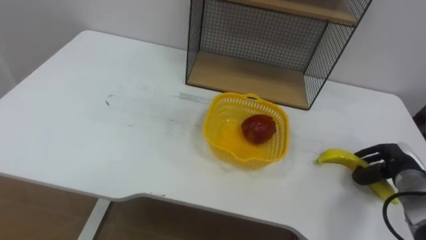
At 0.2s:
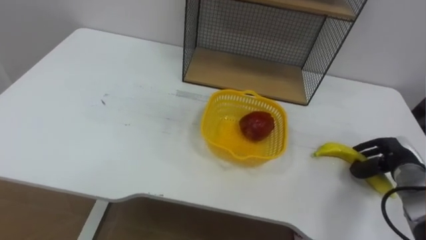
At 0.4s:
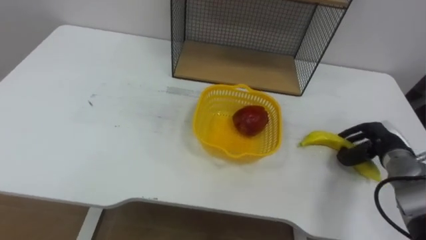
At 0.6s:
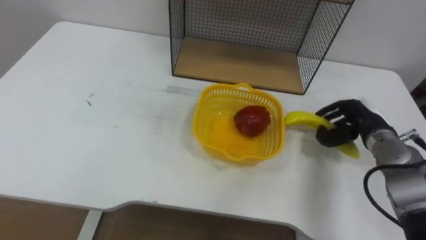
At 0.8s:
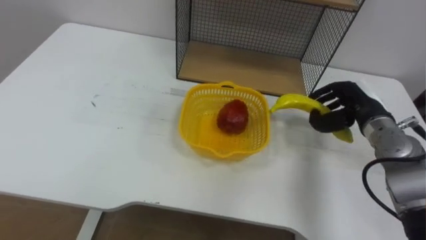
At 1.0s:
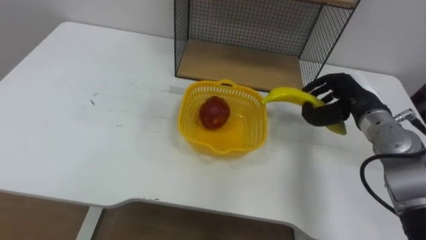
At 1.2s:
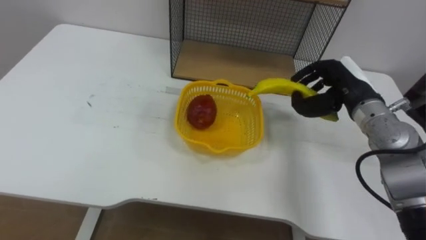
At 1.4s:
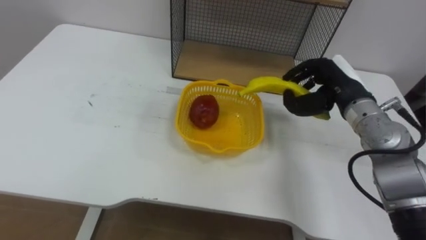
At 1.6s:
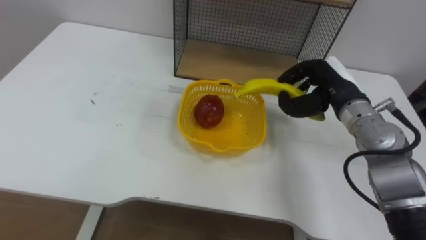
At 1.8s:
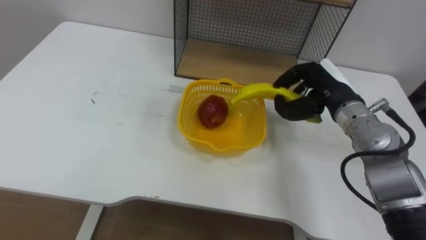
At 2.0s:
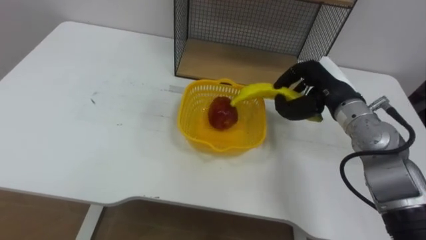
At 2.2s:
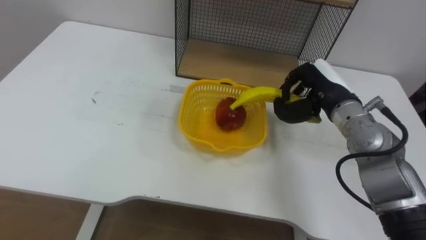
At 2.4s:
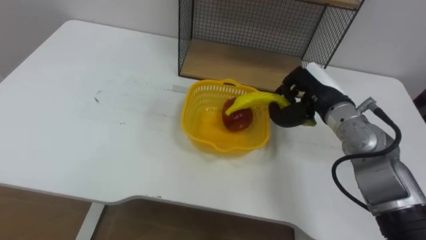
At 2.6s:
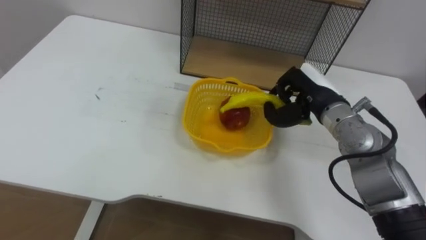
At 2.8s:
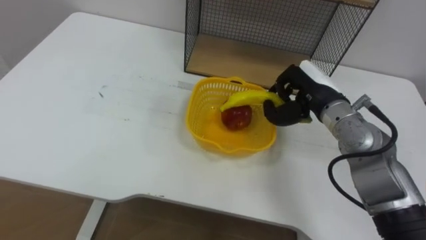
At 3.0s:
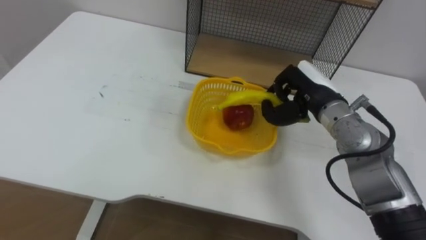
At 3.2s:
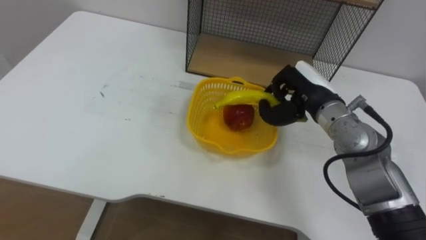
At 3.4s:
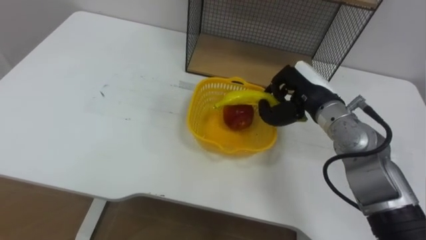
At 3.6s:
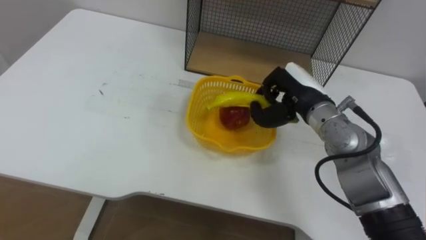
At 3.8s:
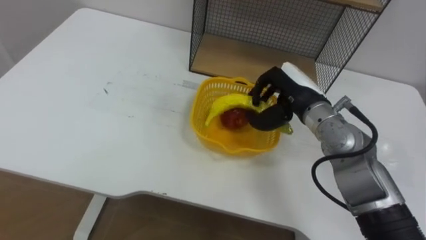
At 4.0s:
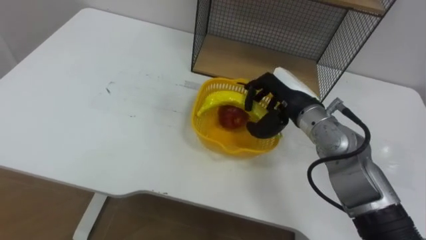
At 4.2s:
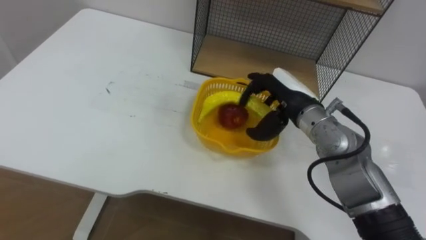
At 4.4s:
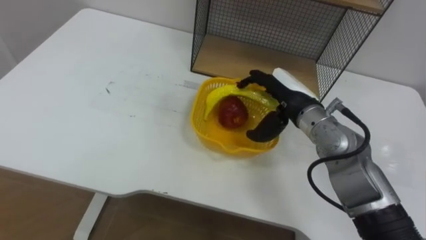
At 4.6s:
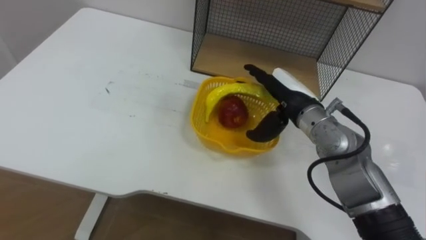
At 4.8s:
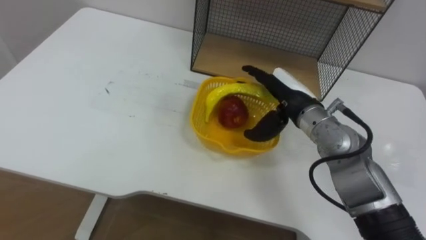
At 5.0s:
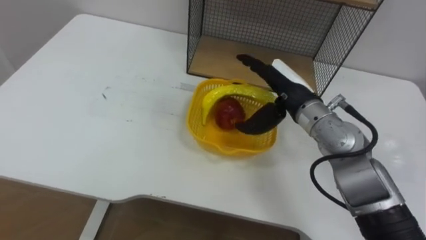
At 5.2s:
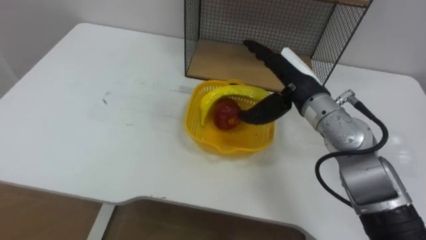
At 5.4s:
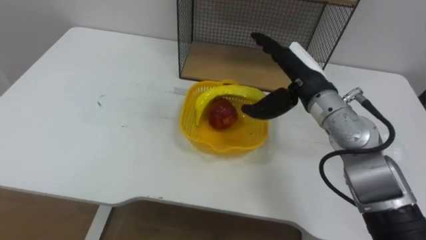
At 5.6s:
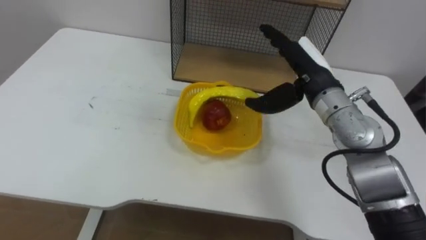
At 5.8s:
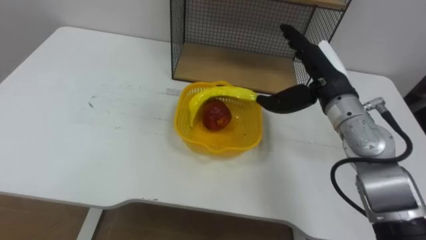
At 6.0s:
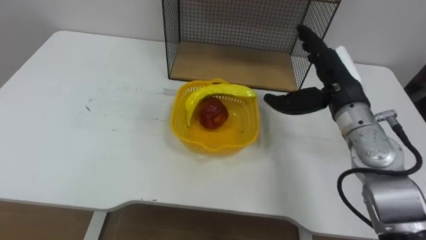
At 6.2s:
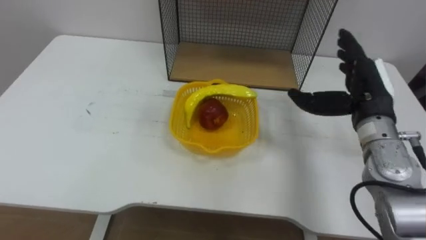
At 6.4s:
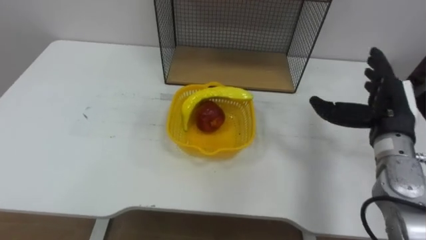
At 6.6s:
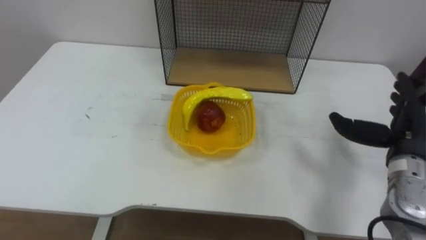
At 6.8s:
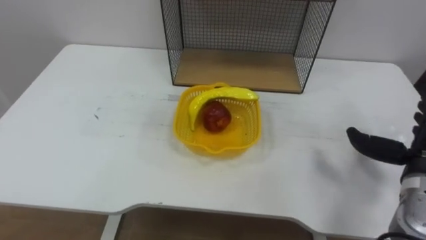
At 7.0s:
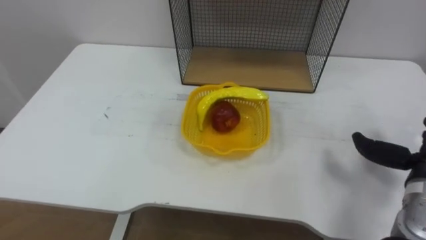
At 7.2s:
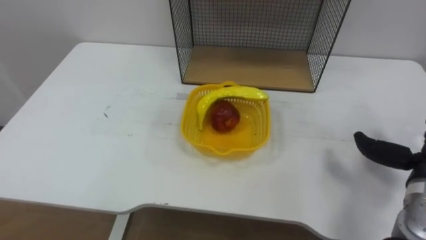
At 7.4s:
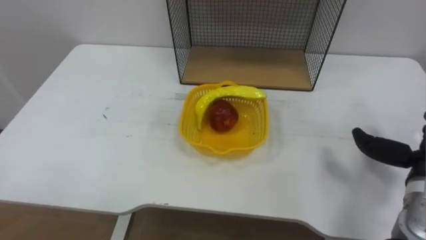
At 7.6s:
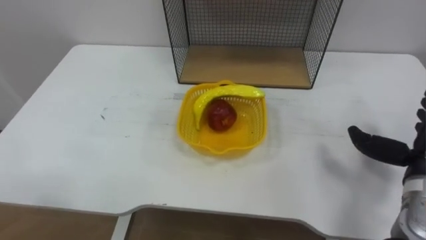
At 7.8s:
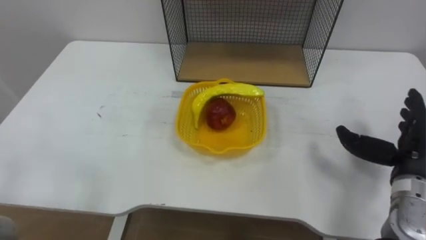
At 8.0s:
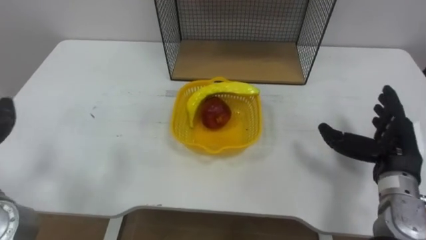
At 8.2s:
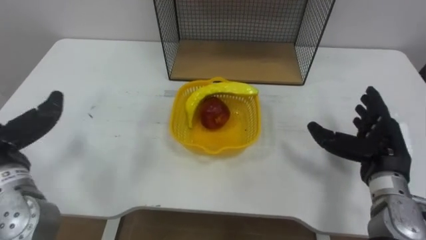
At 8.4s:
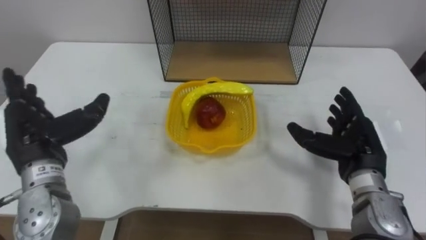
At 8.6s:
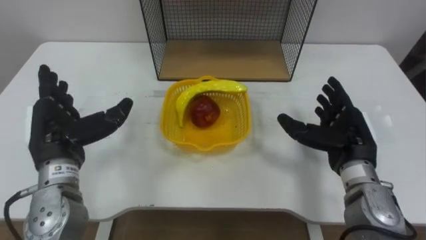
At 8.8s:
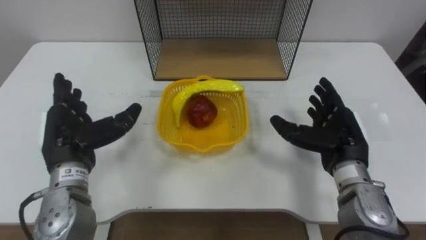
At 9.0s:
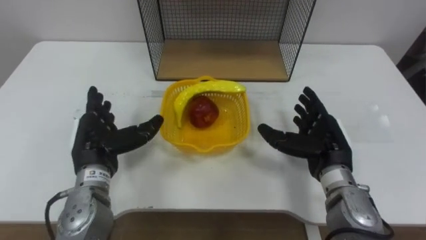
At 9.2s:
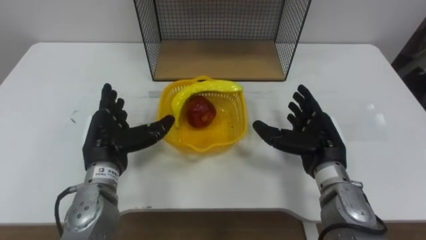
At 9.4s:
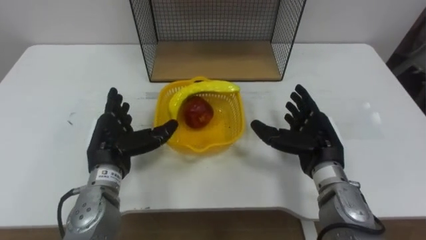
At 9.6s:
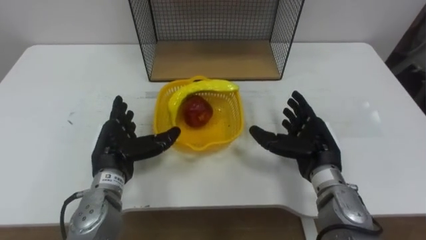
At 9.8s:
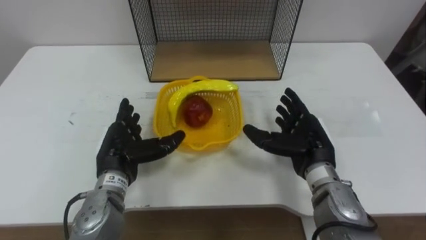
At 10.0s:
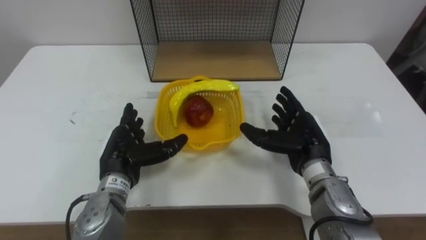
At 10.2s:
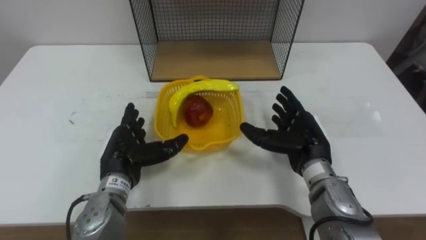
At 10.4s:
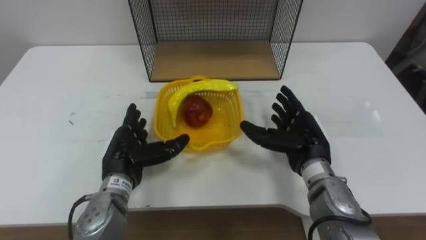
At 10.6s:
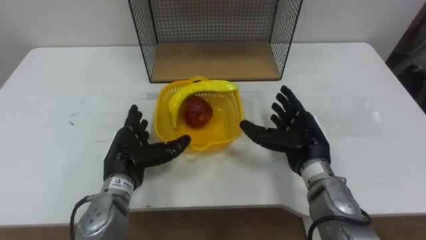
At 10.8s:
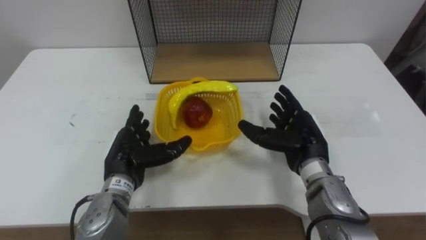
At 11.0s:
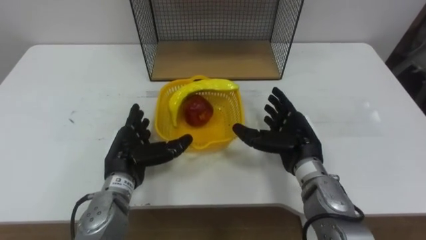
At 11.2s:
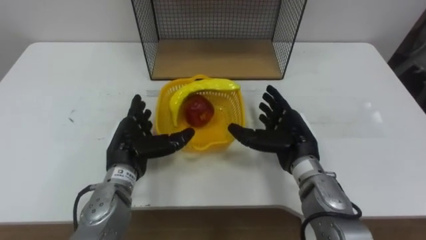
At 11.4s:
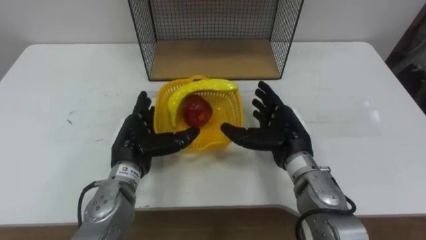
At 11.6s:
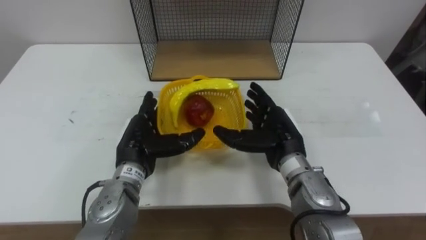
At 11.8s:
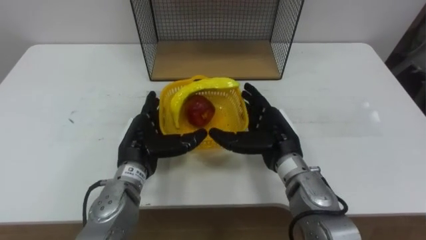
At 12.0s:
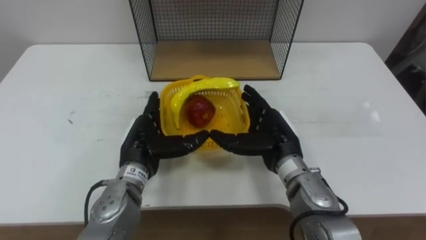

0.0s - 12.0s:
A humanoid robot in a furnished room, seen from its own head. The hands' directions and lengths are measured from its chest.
Task of the whole recording: Put the fruit on the table into the basket, then place the basket on the shelf.
0.0s - 1.6s: The right hand shifts some 25 cm to the left, upward and forward.
3.0s - 4.4s: The right hand opens.
4.4s - 6.0s: The right hand travels to the right by approximately 5 cm.
9.0s - 10.4s: The left hand shifts by approximately 5 cm.
10.4s - 12.0s: The right hand goes roughly 5 cm to the left.

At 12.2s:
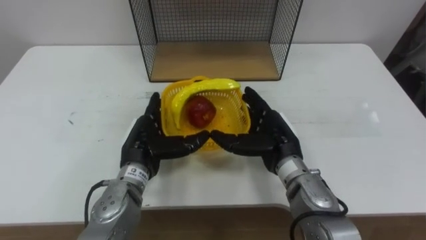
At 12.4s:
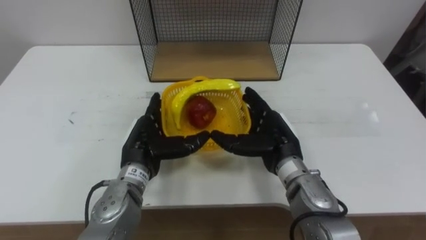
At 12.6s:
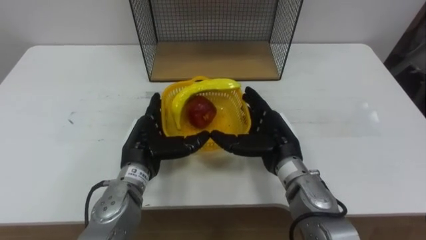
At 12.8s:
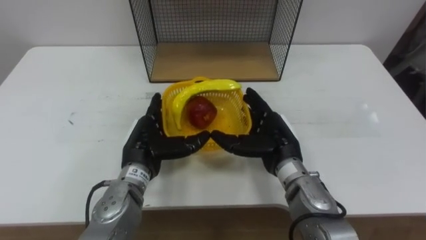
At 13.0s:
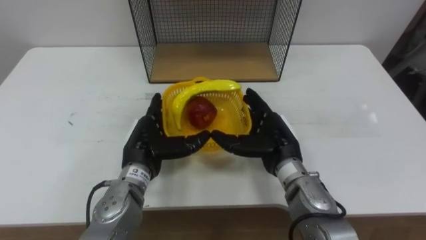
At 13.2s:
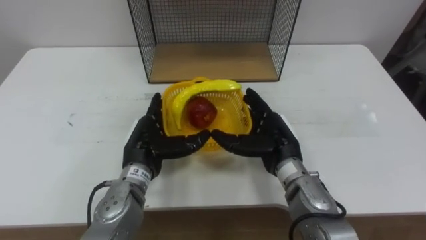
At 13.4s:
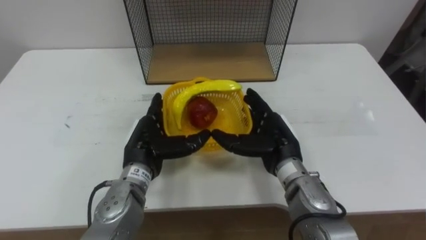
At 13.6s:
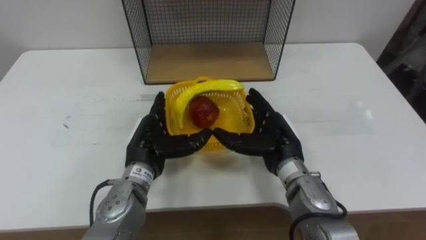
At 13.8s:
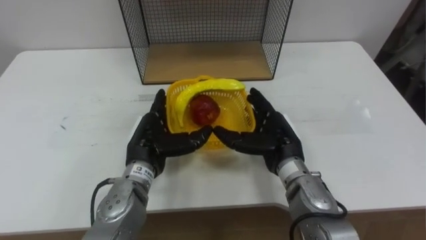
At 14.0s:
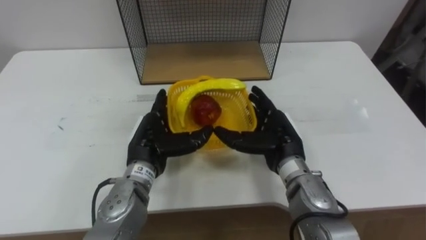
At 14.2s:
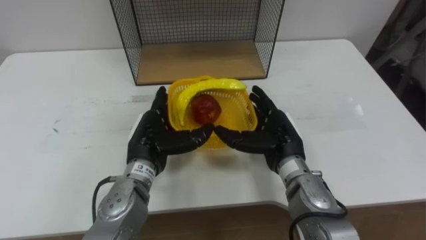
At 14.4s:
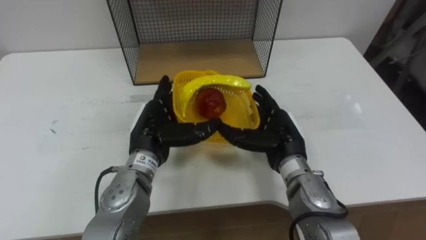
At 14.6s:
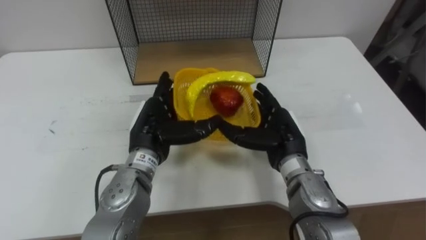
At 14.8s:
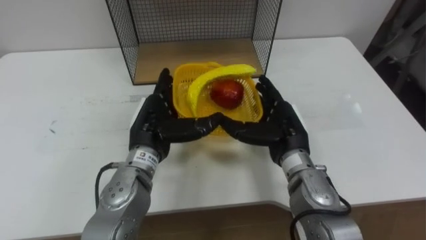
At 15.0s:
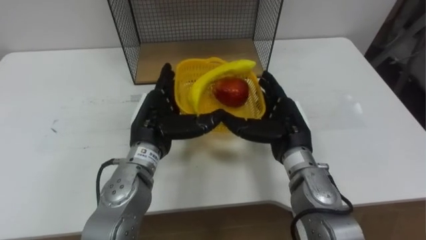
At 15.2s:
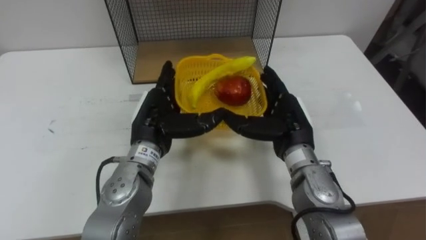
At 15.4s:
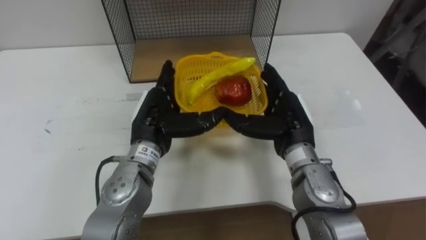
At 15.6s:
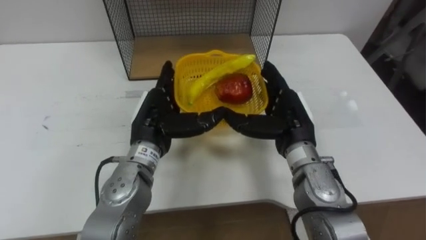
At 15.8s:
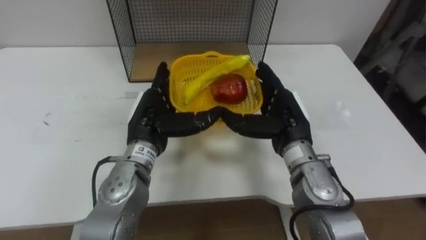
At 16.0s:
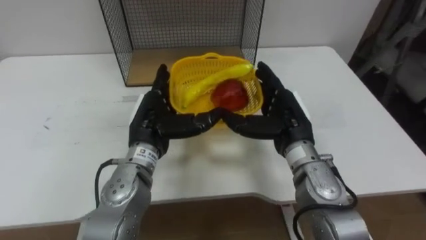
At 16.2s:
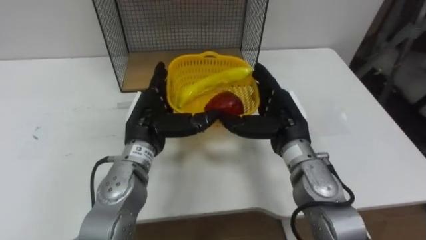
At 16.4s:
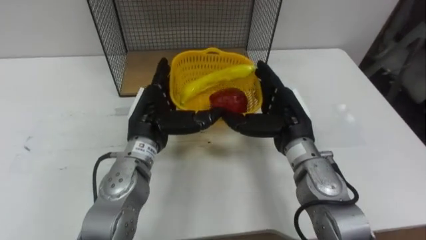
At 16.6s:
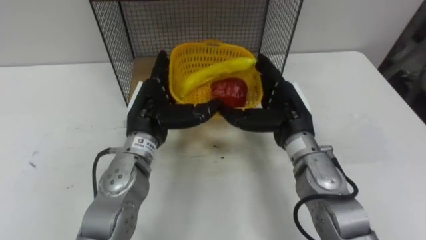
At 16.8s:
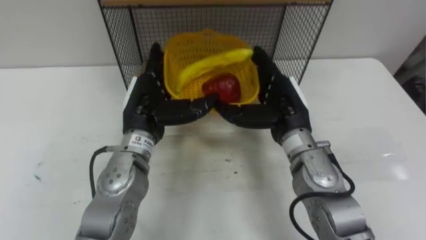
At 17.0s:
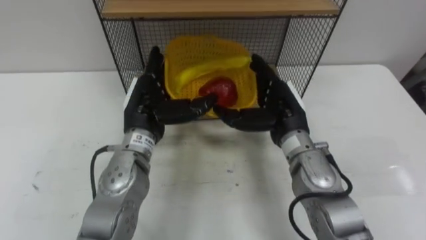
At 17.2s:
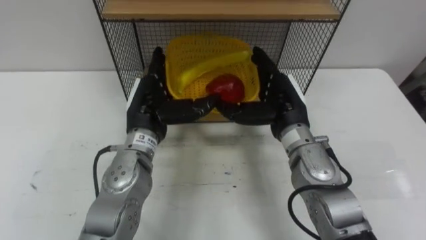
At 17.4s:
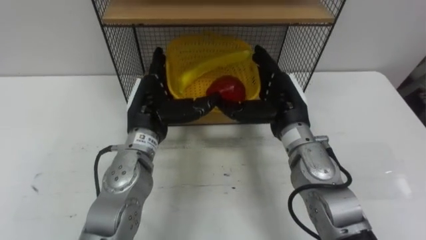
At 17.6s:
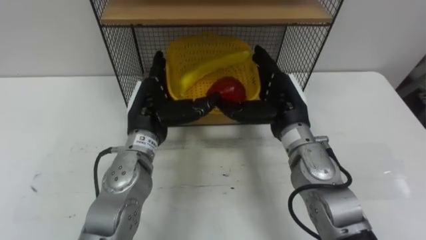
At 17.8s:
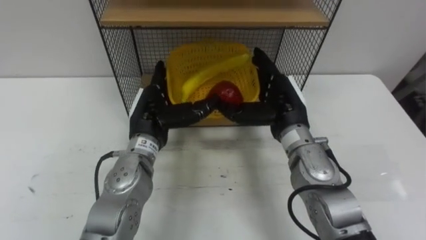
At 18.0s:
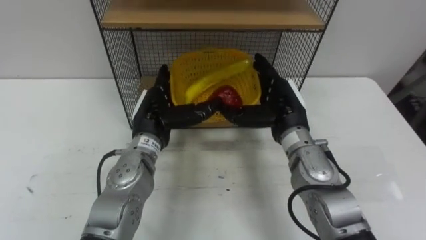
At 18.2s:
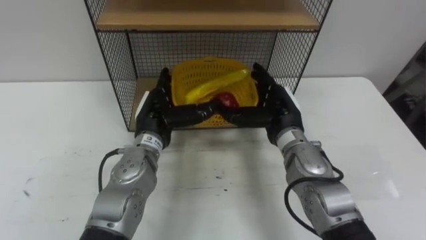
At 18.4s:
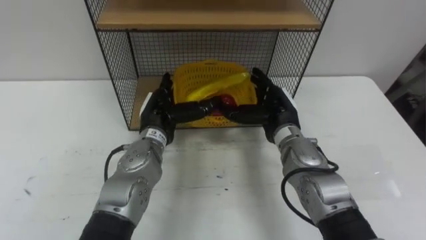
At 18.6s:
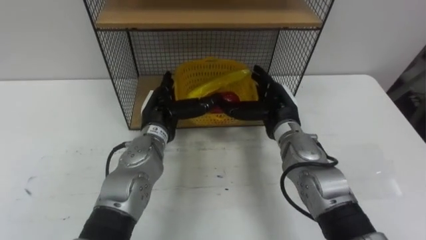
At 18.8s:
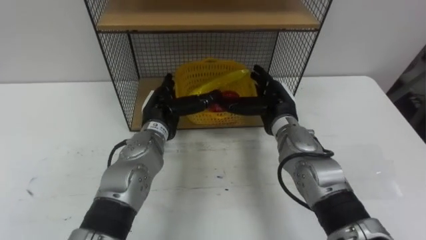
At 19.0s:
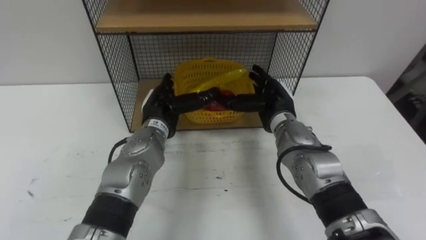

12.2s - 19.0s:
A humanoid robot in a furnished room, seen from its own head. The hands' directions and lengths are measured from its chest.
Task of the whole recording: Put the fruit on the table into the basket, then place the basket on the shelf.
12.2s - 13.6s: The two hands keep their place.
13.6s - 15.0s: The left hand changes place by some 5 cm.
17.6s - 19.0s: The right hand shifts by roughly 5 cm. The left hand moves roughly 5 cm.
